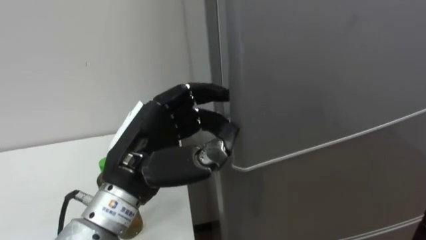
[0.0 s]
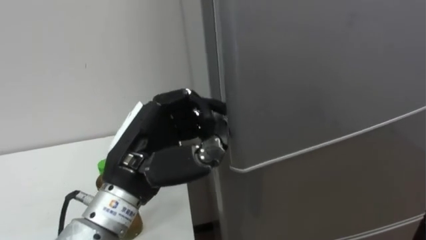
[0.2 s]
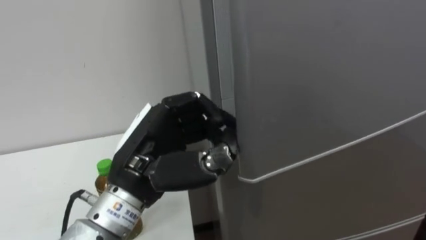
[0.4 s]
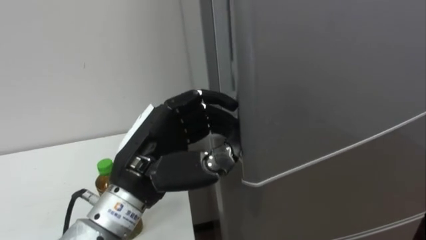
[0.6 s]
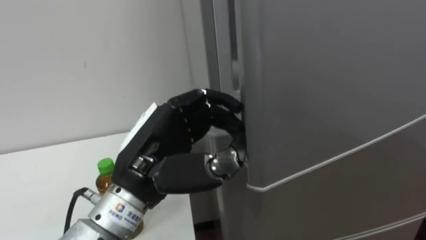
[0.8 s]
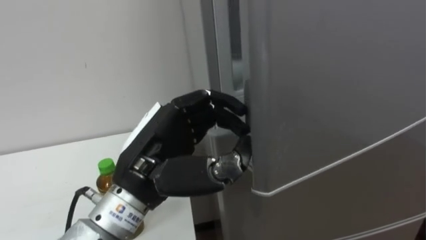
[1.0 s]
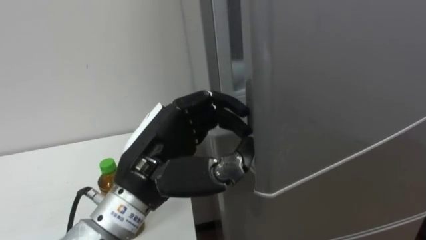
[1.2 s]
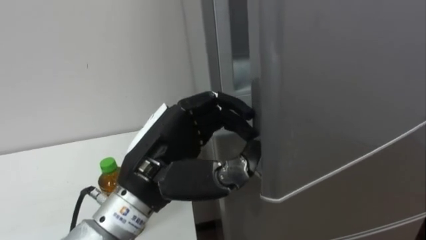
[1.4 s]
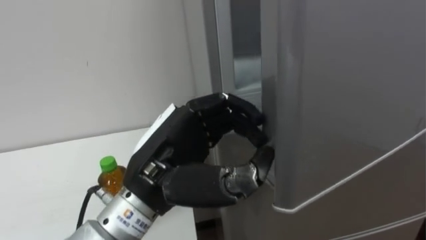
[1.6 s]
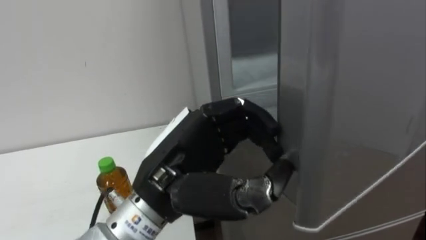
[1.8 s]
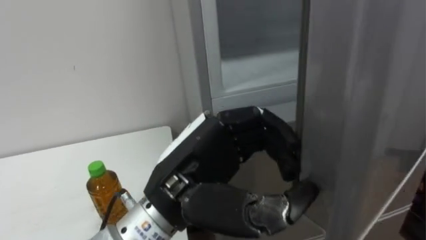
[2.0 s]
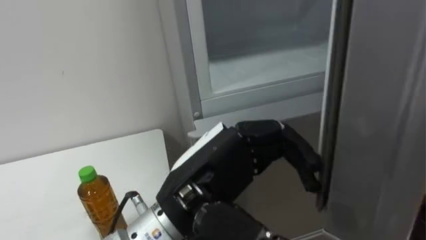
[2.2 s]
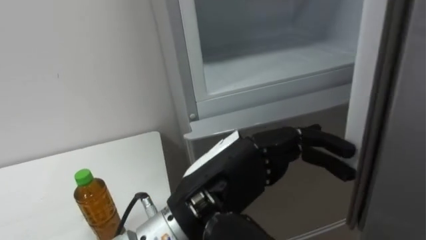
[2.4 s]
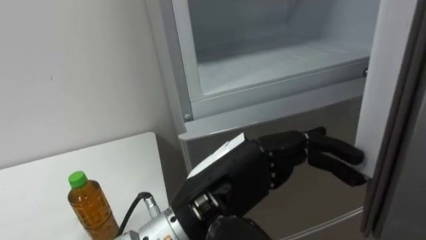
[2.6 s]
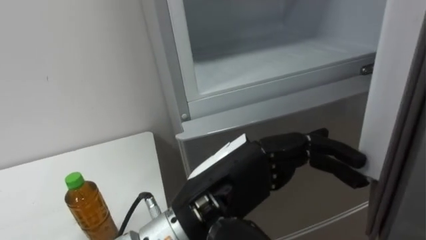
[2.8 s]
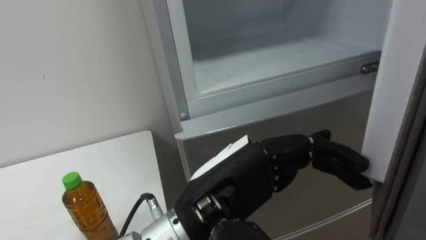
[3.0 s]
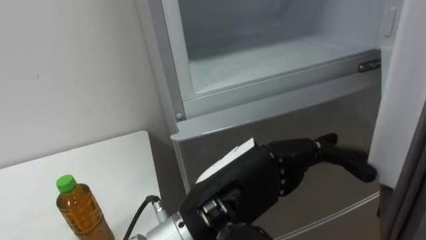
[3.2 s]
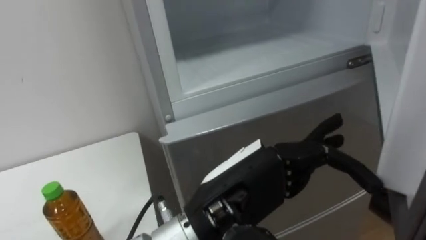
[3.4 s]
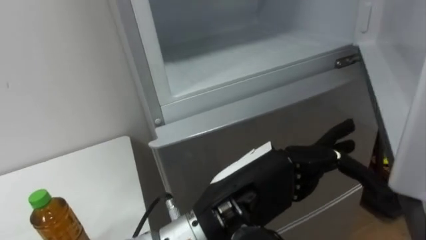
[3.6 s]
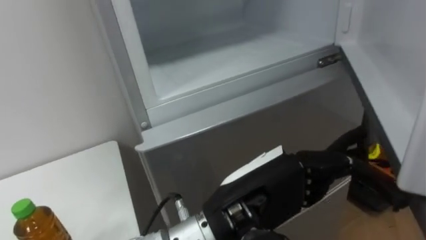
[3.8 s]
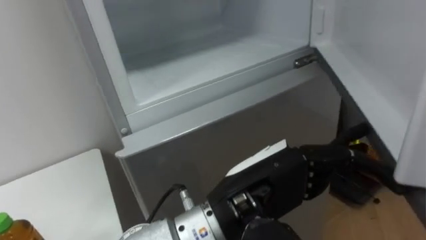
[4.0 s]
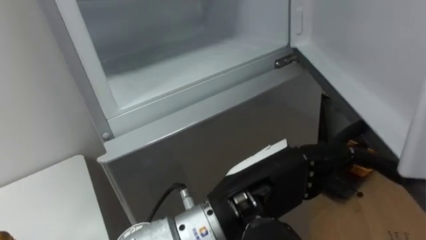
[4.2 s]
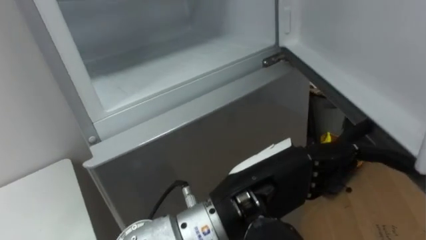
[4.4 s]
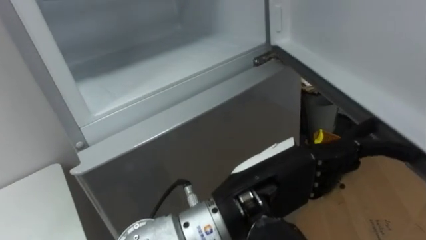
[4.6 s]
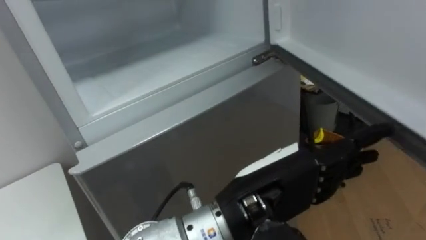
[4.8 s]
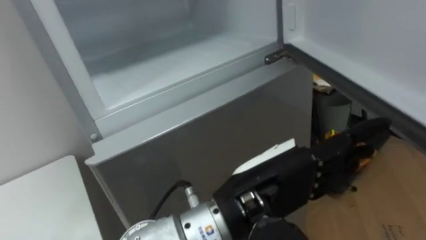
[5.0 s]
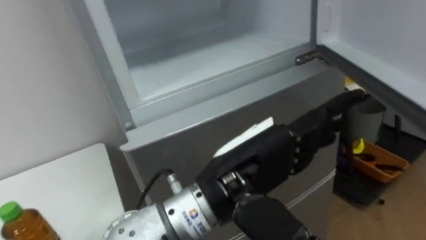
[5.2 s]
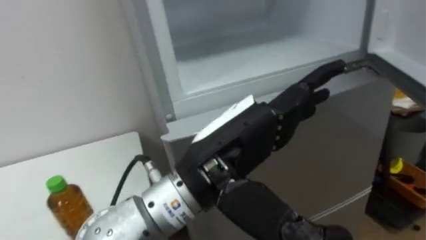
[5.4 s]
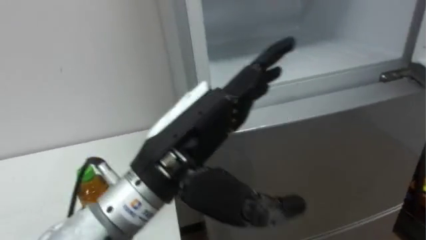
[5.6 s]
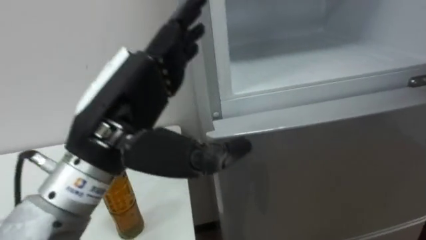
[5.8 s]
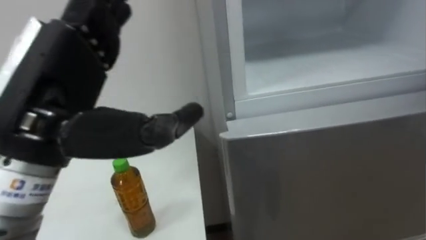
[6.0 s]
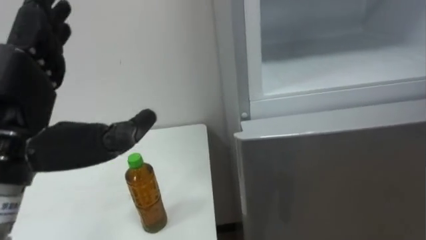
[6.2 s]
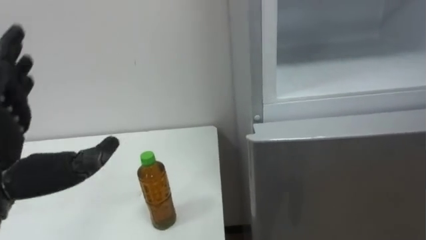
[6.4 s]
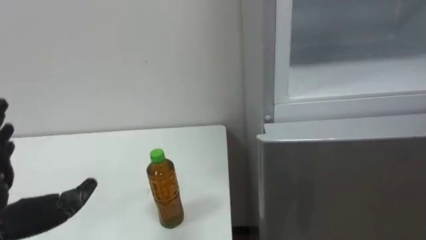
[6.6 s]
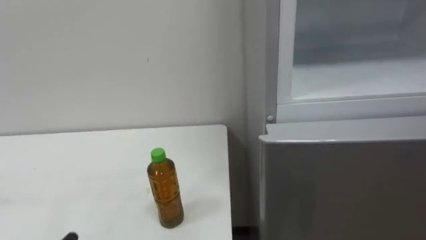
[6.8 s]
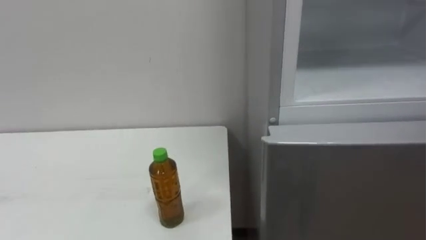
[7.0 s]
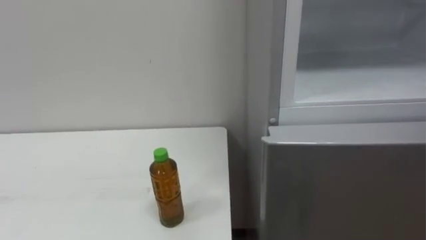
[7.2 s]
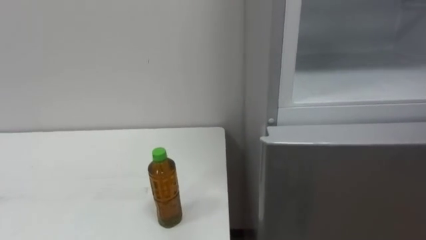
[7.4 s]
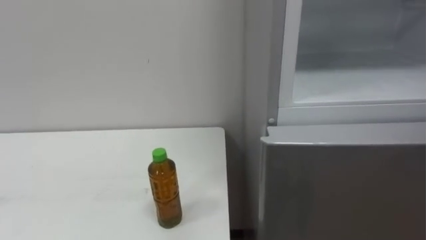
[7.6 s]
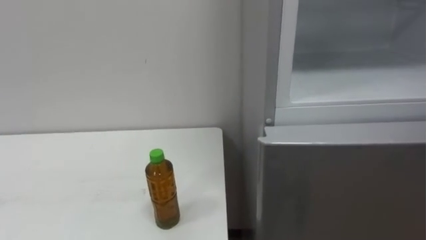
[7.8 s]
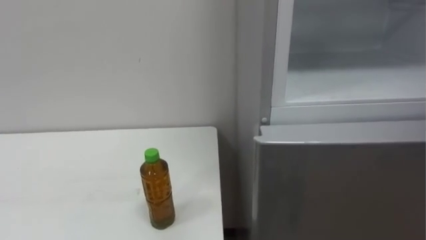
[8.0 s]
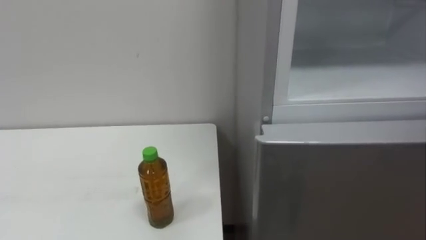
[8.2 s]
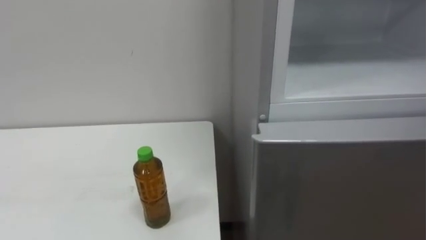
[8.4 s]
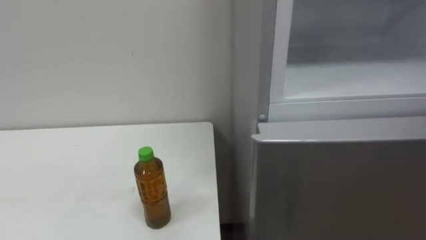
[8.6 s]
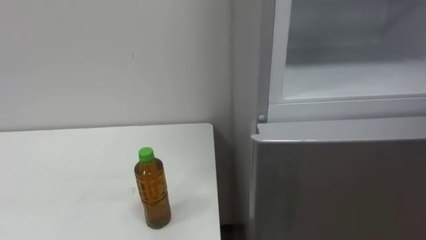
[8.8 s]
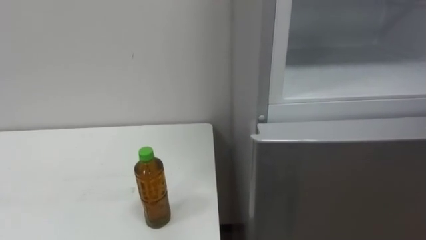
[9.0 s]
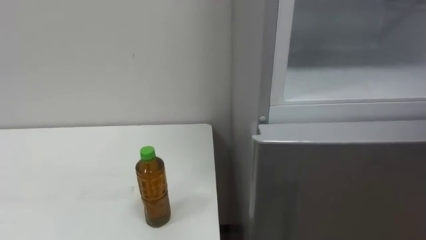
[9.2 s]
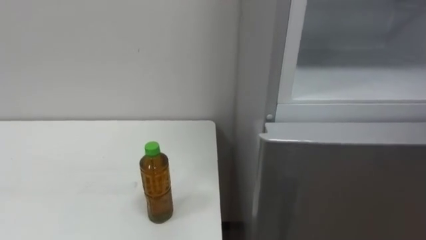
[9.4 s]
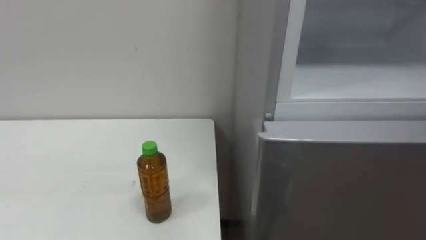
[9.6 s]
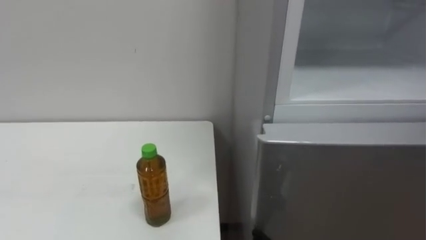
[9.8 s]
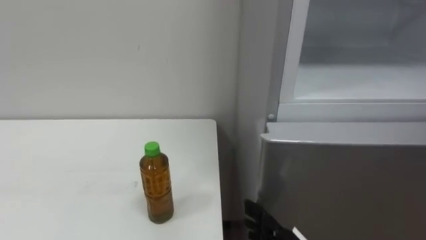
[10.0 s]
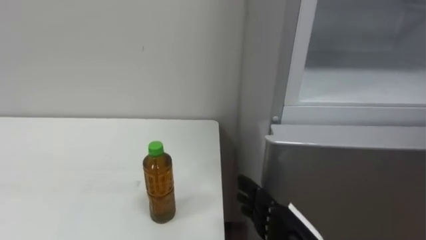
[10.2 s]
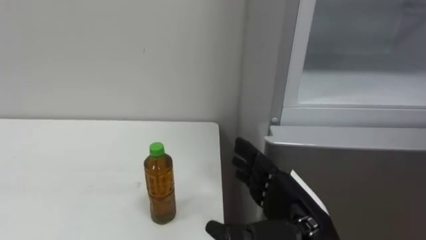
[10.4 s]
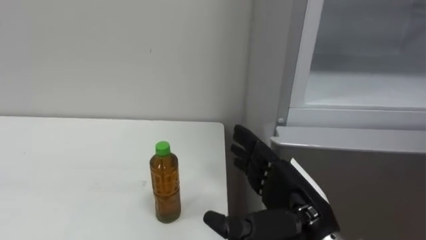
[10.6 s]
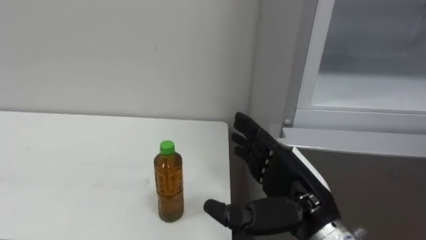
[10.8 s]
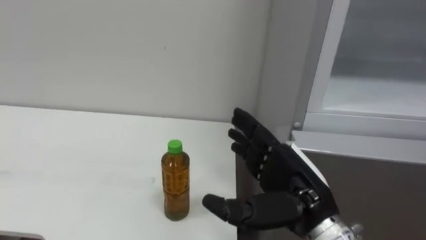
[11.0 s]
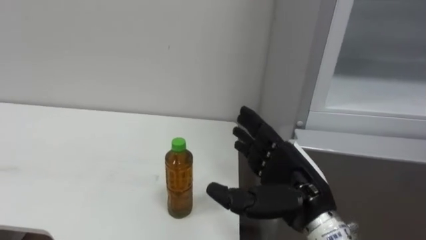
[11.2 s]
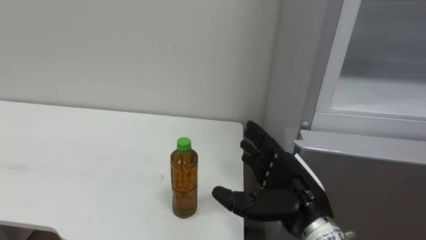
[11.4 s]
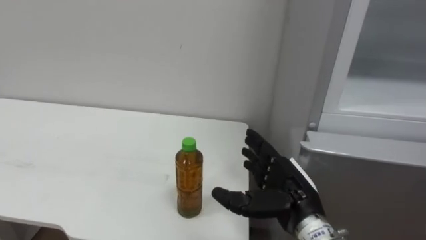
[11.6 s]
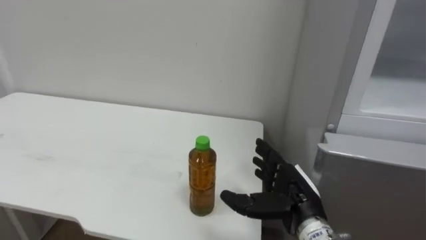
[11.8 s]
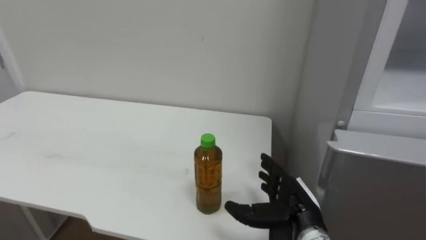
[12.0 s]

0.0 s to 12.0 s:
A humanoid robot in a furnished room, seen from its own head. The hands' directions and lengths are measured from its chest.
Task of the whole recording: Open the upper refrigerator door, put the drink from the table into the refrigerator, and then close the refrigerator door.
0.0 to 1.6 s: The left hand opens.
1.6 to 3.0 s: The left hand heads to the right, covering some 5 cm.
4.4 to 6.0 s: The left hand moves to the left and upward, approximately 20 cm.
10.4 to 12.0 s: The right hand moves forward and downward, roughly 10 cm.

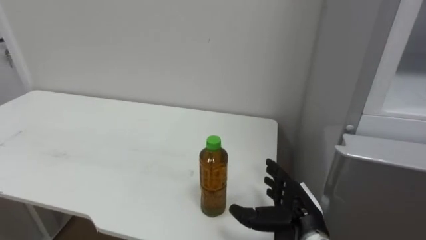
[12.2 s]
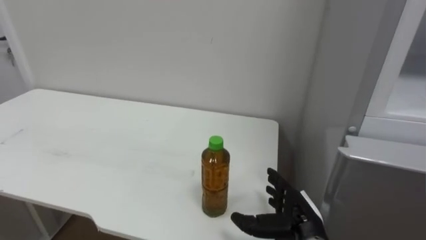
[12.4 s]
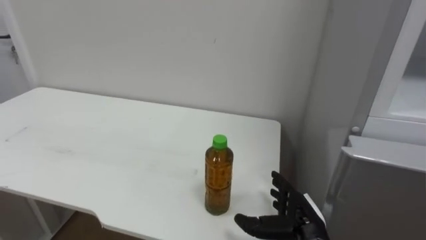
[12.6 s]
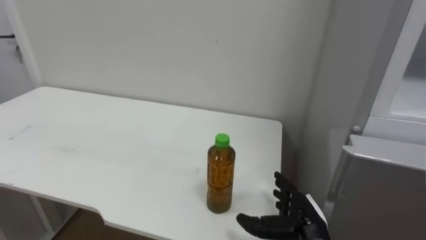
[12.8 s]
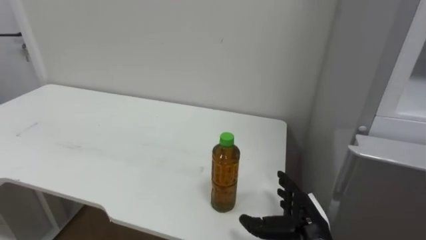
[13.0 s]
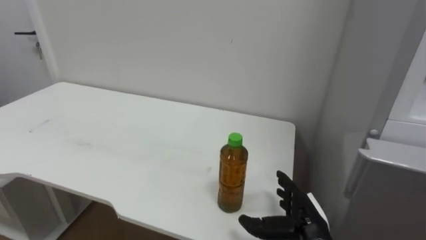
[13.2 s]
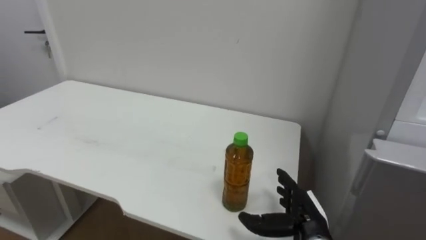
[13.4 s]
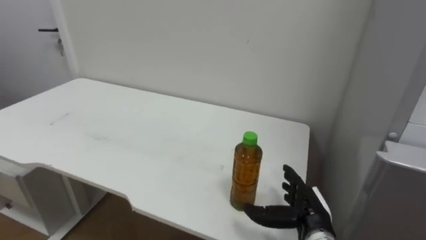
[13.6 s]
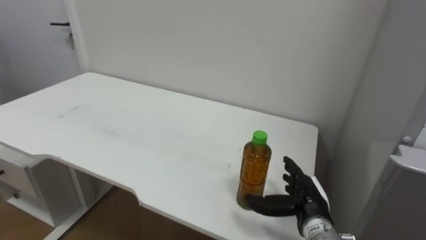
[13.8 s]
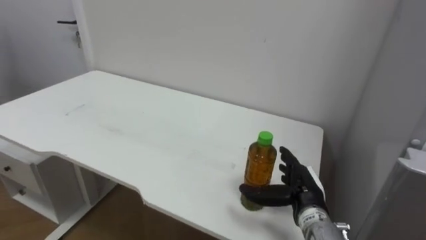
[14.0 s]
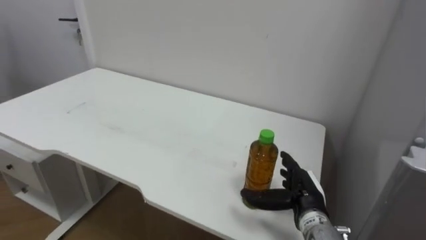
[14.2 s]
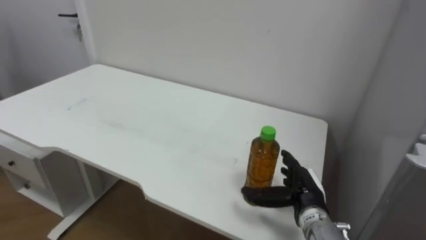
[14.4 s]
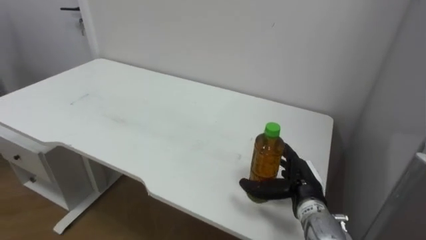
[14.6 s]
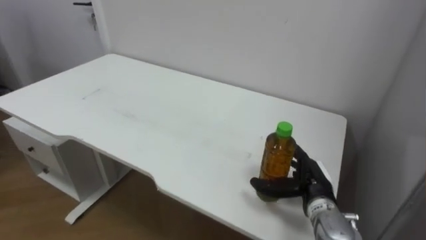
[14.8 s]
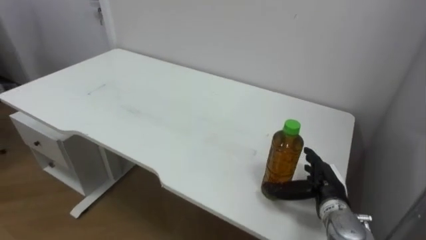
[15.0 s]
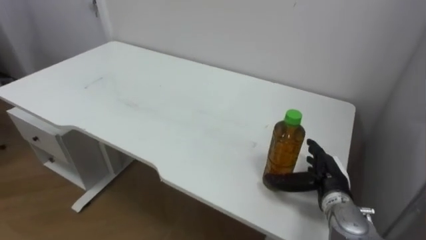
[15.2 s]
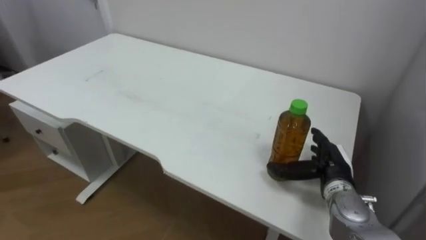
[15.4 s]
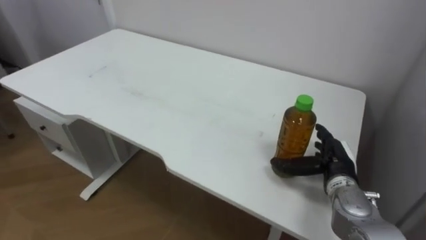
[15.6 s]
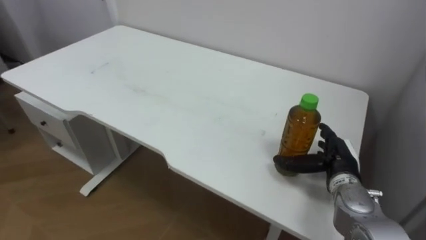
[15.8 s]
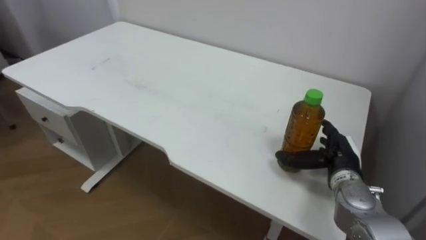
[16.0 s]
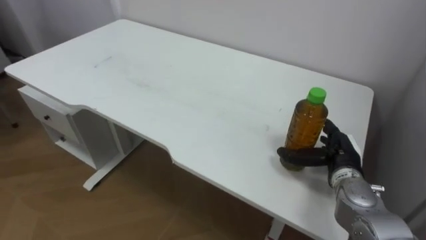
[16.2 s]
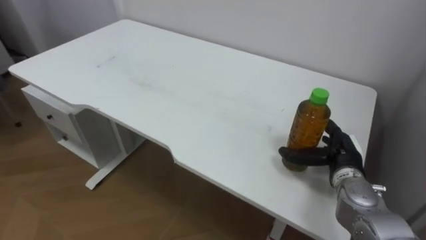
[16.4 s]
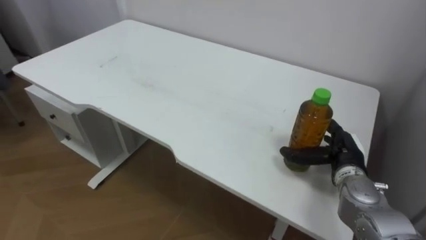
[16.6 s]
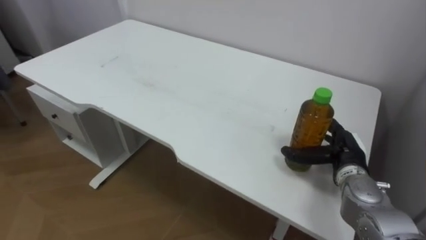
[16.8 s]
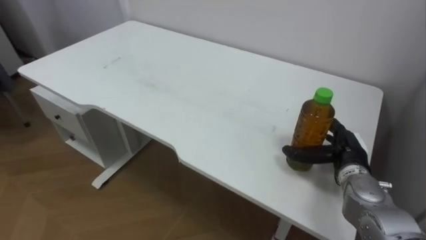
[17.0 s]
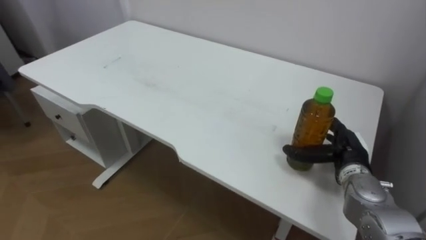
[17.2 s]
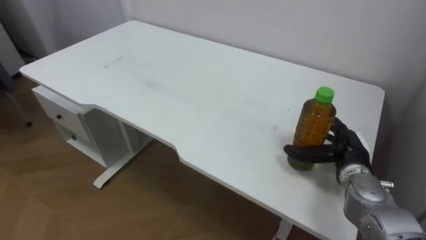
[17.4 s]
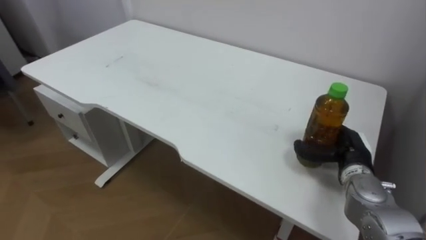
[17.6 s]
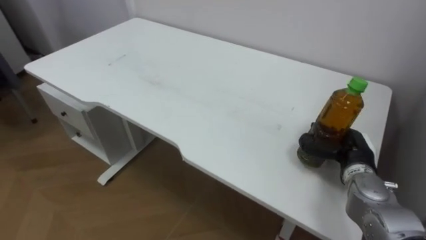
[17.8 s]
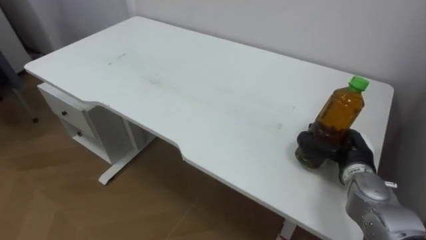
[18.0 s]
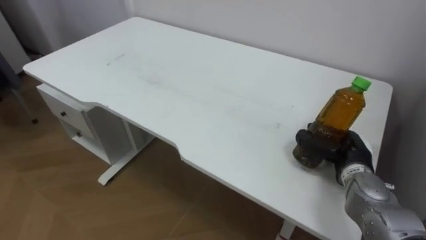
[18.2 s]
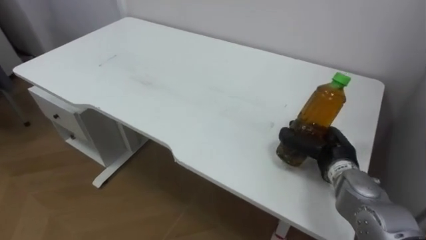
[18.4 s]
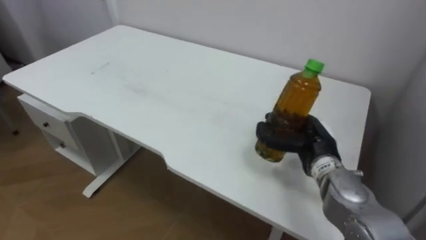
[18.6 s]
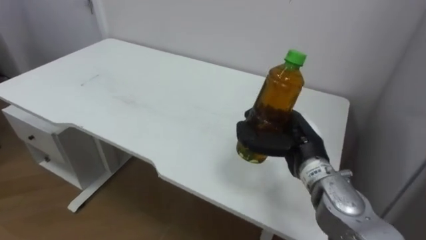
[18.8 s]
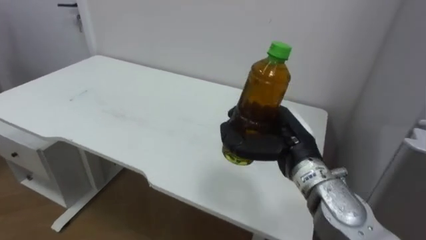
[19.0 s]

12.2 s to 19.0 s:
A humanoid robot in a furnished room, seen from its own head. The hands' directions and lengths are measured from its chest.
Task of the whole recording: Open the upper refrigerator door, put the drink from the table into the refrigerator, and then close the refrigerator door.
13.6 to 15.0 s: The right hand changes place by roughly 5 cm.
15.0 to 16.2 s: The right hand shifts by about 5 cm.
17.6 to 19.0 s: The right hand heads to the left and upward, covering roughly 15 cm.
